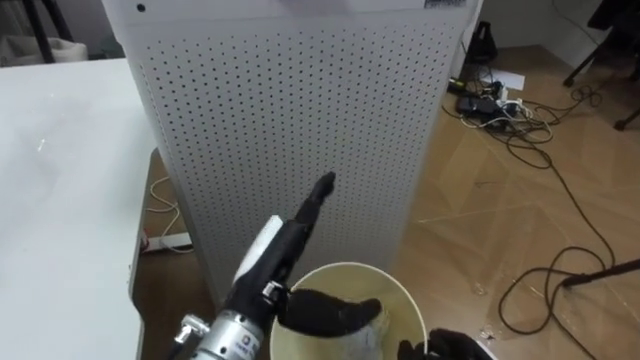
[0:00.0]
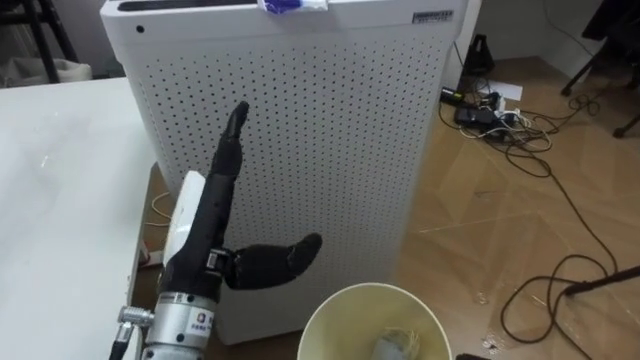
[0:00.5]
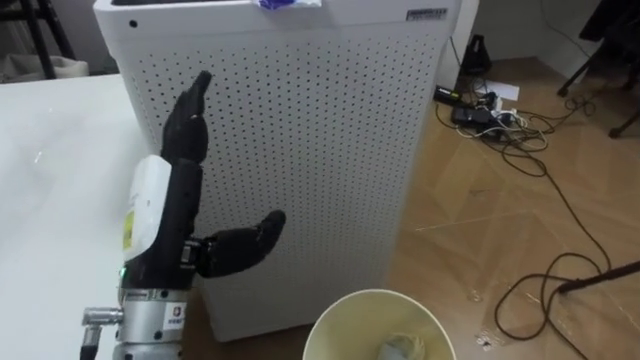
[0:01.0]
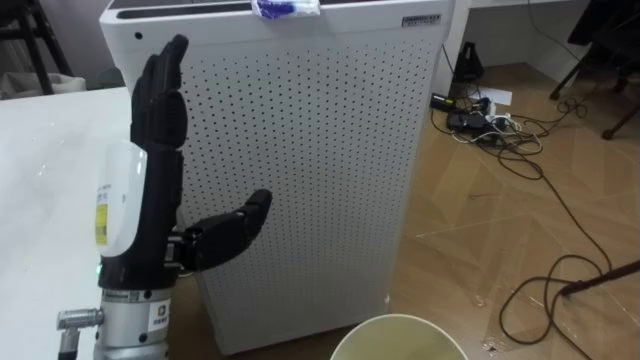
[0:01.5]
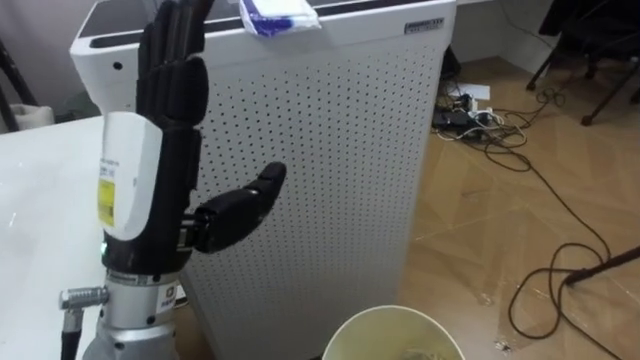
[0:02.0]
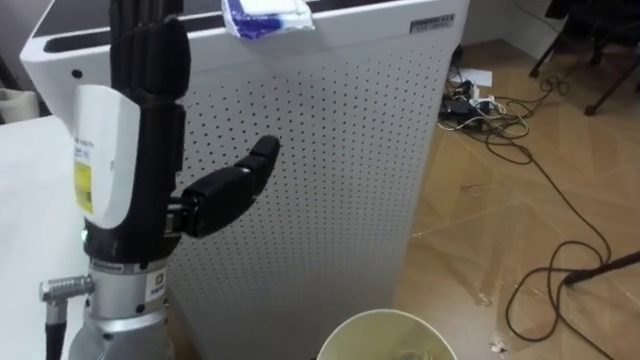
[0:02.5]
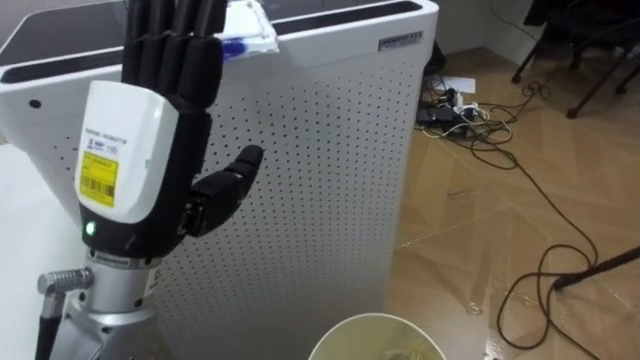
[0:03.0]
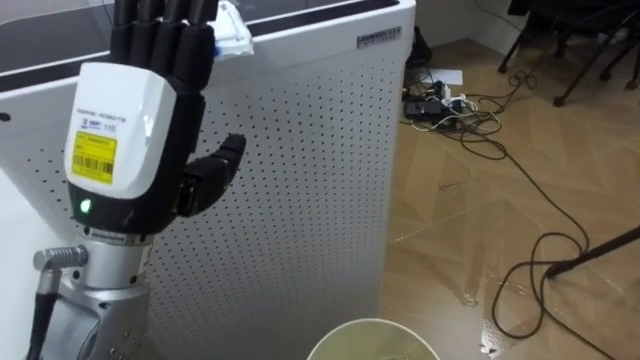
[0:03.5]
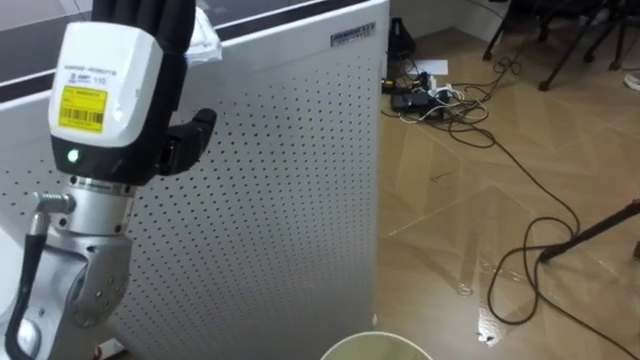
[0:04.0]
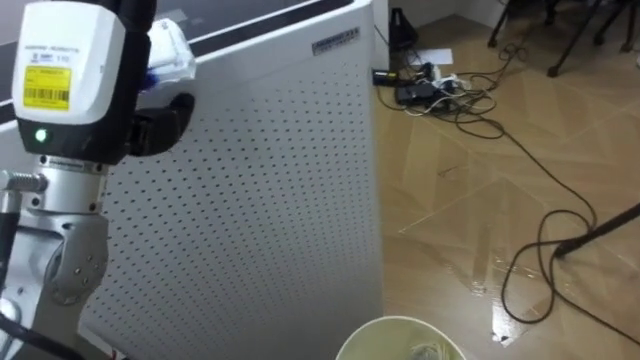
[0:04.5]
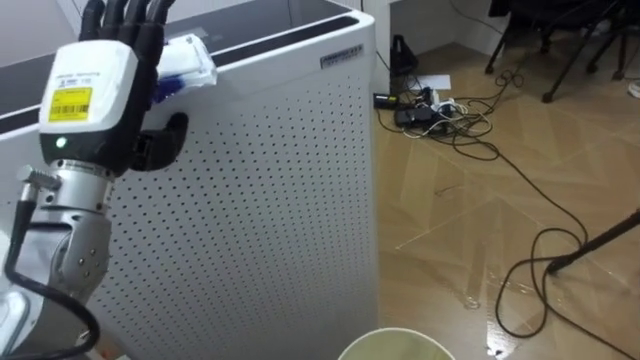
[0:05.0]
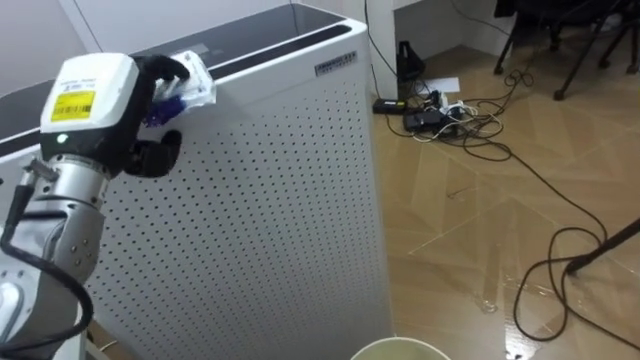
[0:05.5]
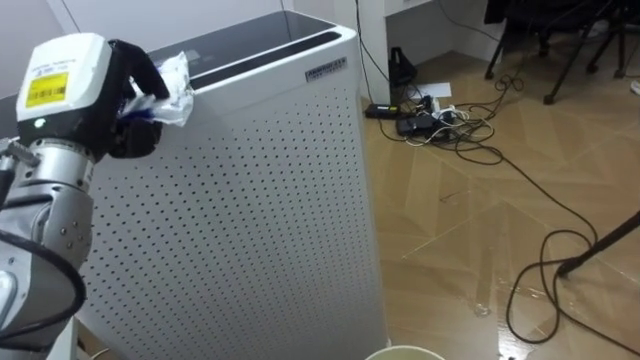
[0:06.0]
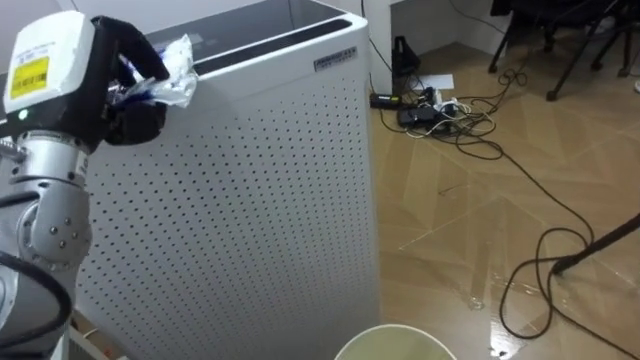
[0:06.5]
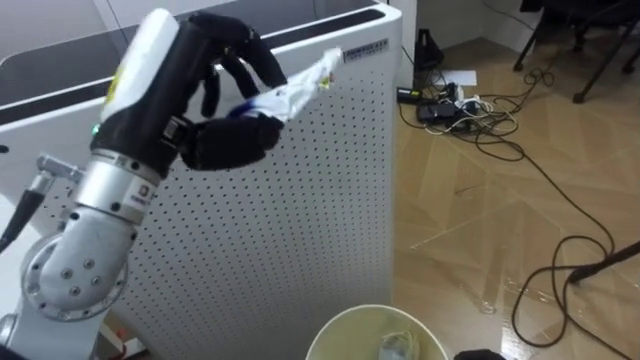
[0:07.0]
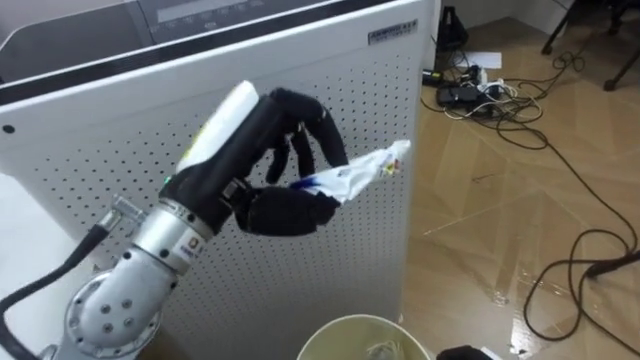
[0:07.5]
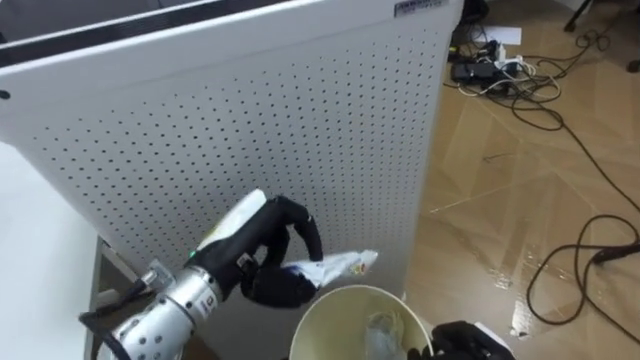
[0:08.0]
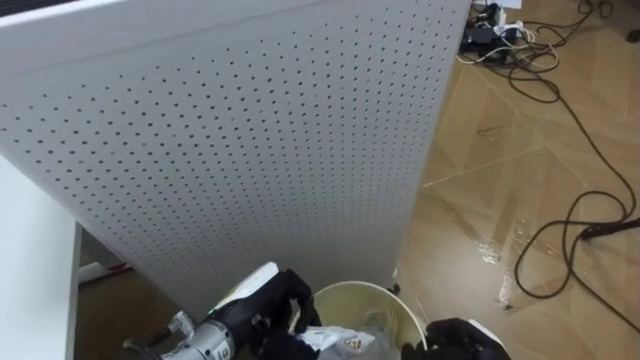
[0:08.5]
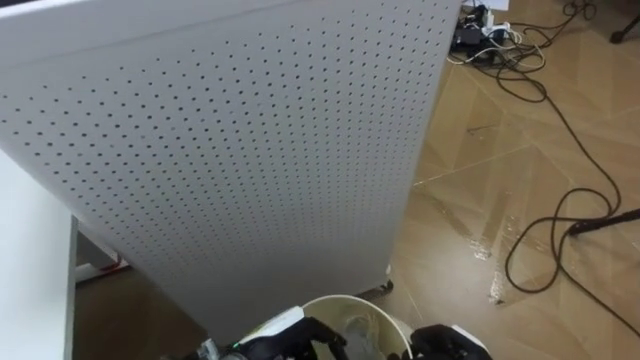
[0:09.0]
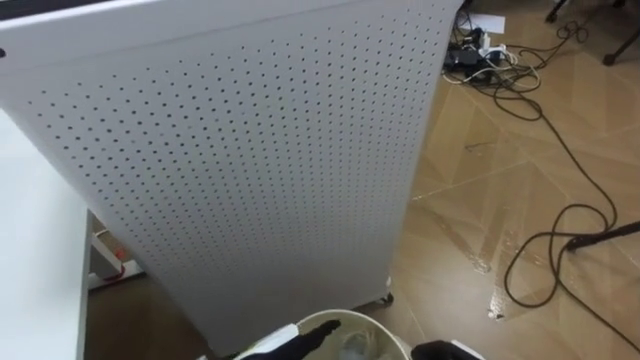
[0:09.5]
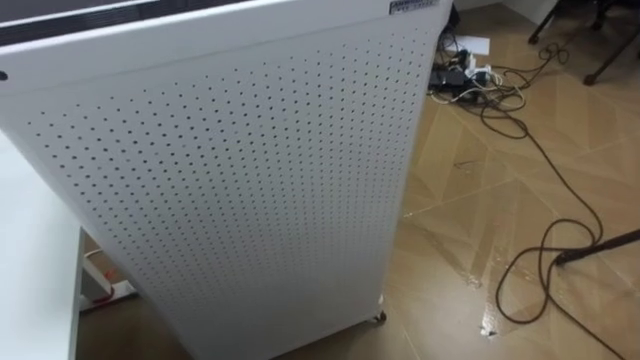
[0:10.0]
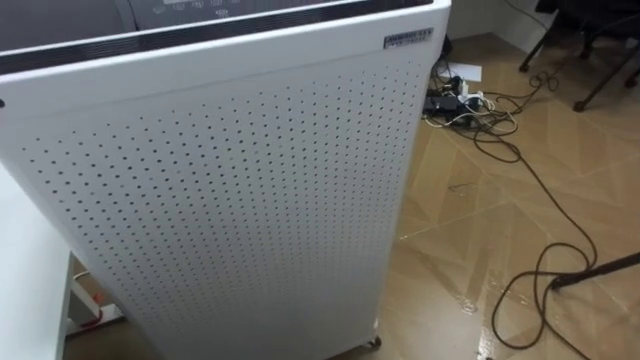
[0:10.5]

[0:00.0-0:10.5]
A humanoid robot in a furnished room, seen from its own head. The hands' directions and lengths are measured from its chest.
Task of the whole recording: Pick up the light blue package, the candy box, and the dark blue package separately, and put them into the trash can held in your right hand.
0:00.0 to 0:02.0: The left hand shifts about 15 cm upward and to the left.
0:02.0 to 0:04.0: The left hand ends up roughly 5 cm from where it was.
0:04.0 to 0:06.5: The left hand goes roughly 10 cm to the left and forward, and closes its fingers.
0:06.5 to 0:08.5: The left hand moves downward and to the right, approximately 30 cm.

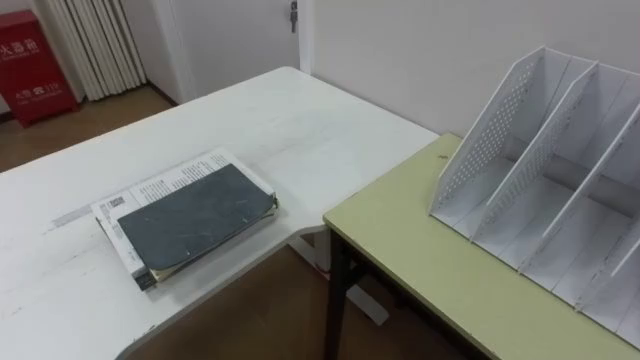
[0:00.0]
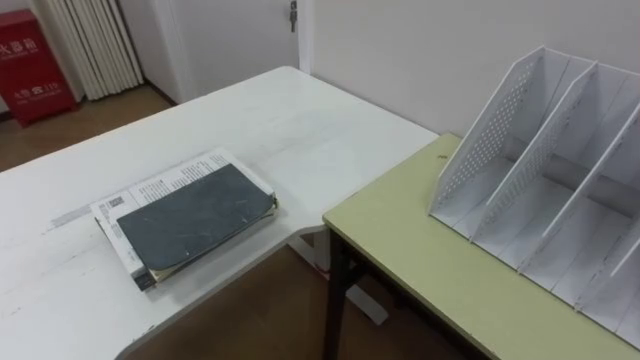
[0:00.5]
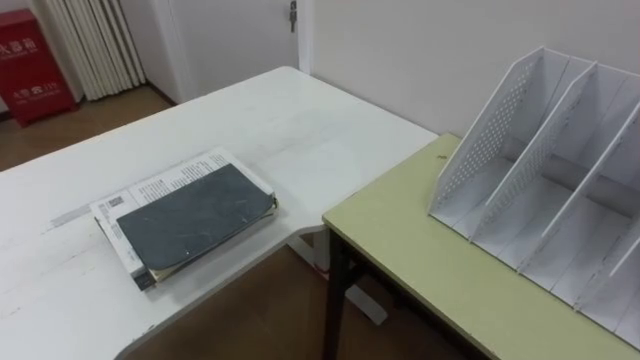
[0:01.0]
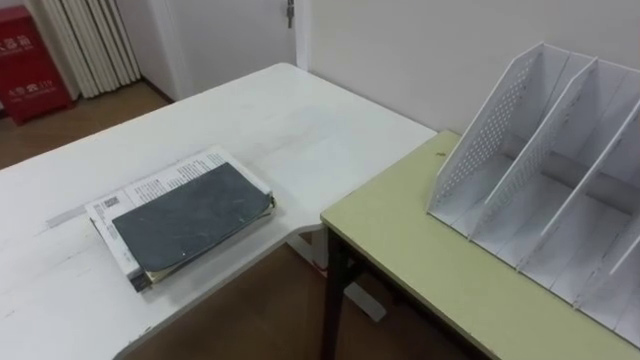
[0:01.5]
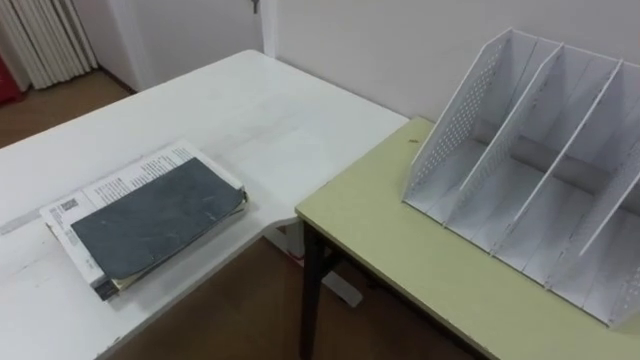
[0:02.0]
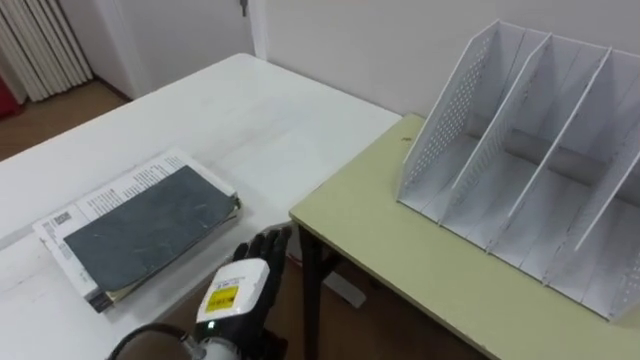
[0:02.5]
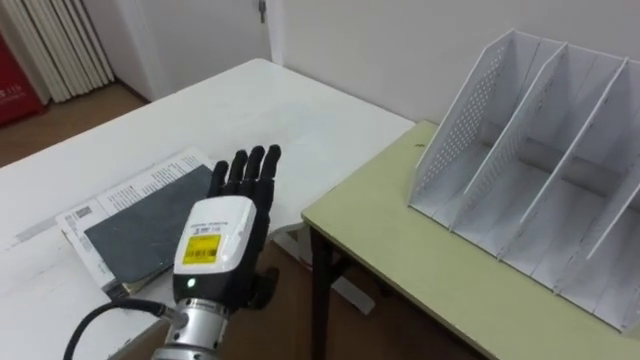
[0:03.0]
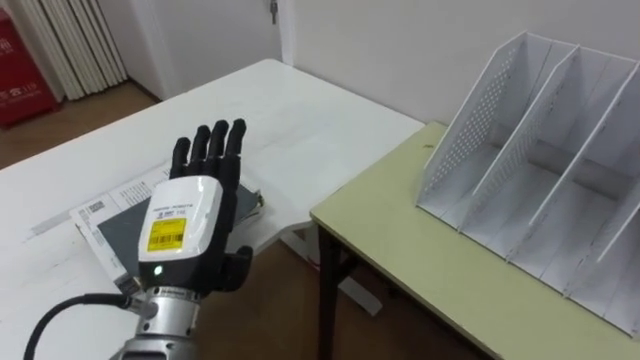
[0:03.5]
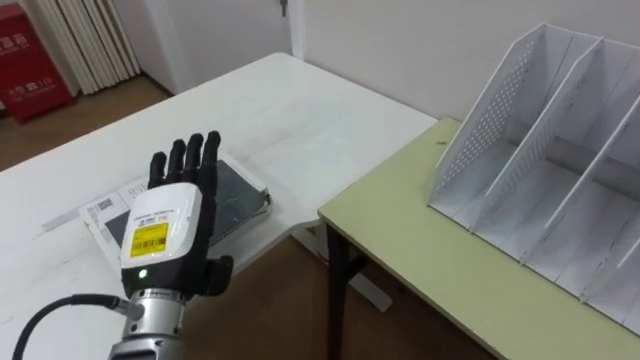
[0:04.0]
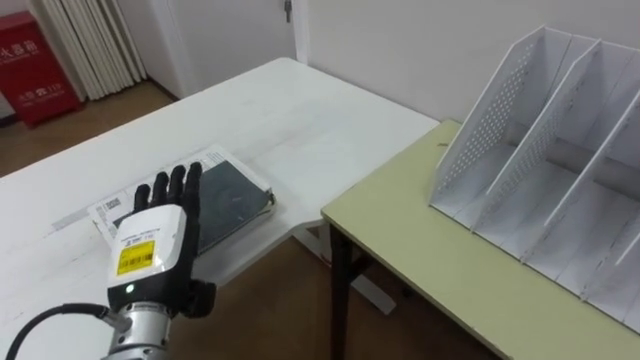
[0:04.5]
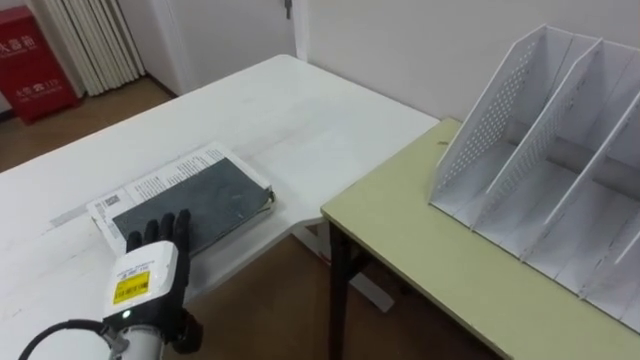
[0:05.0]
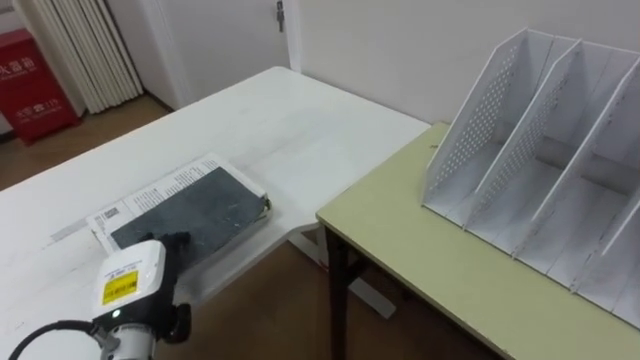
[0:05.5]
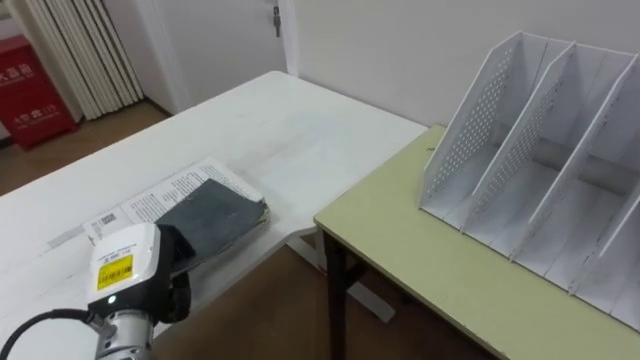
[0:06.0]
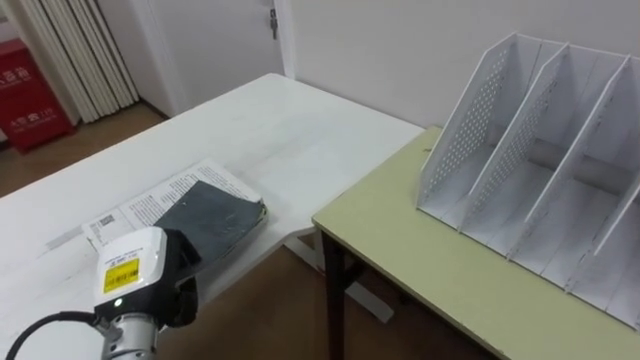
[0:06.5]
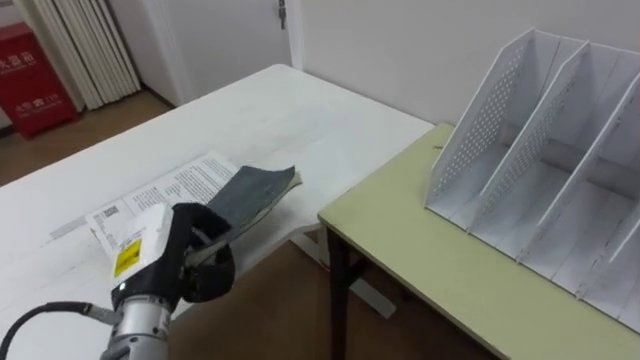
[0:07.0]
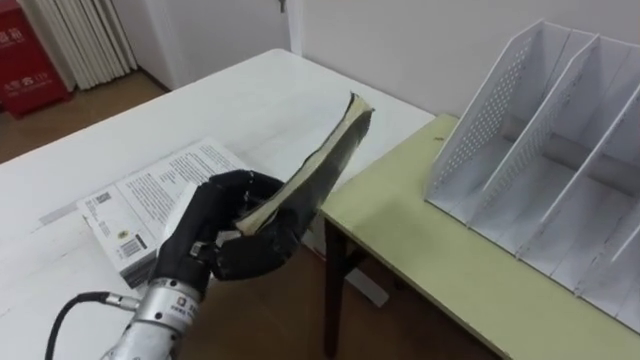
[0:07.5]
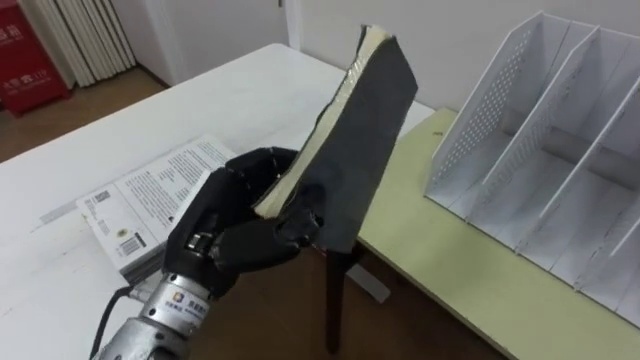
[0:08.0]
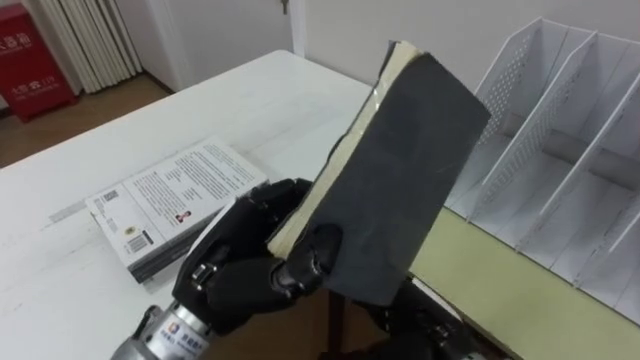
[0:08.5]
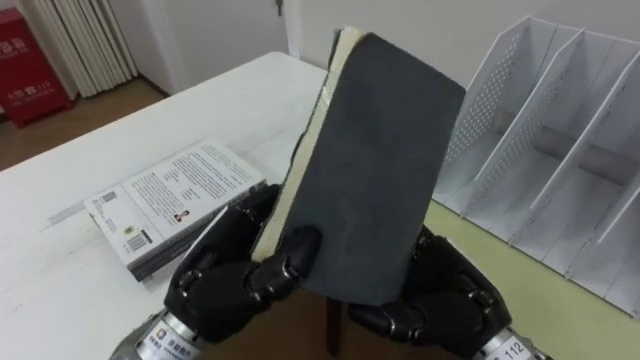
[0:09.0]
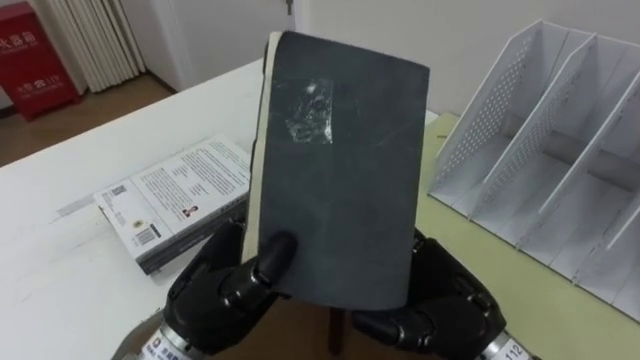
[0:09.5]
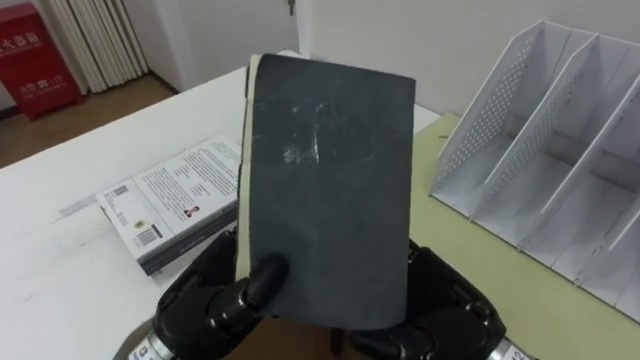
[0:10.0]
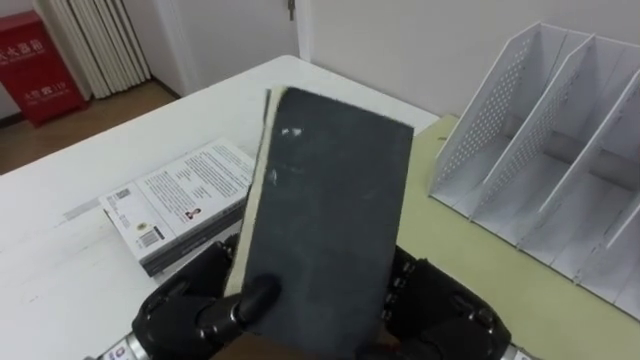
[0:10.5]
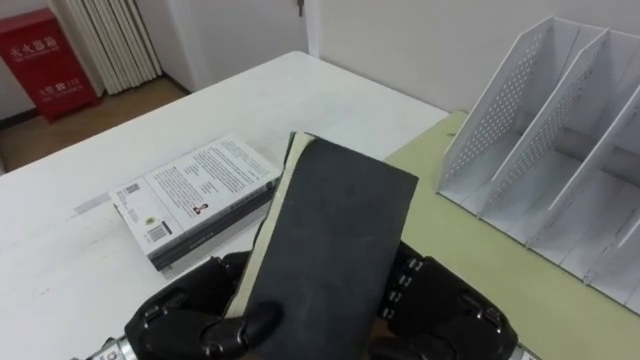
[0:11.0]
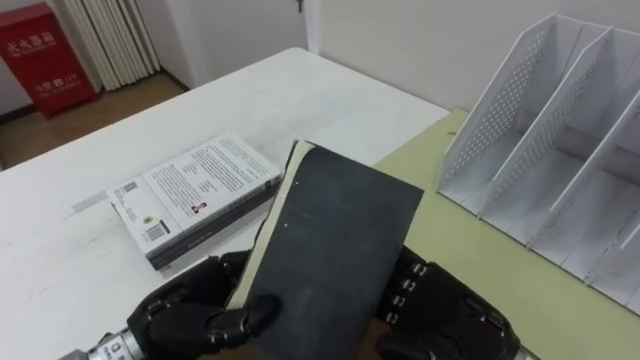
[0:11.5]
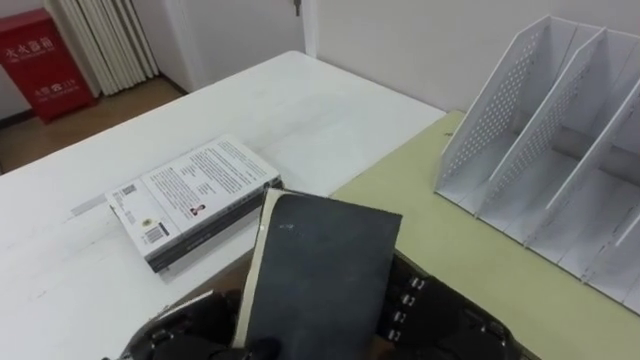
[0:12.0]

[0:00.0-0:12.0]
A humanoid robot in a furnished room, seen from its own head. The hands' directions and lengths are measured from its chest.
Task of the whole recording: Put the books on the table onto the bookshelf.
0:04.0 to 0:06.0: The left hand goes about 10 cm downward and to the left, and closes up.
0:06.0 to 0:08.0: The left hand moves to the right and upward, about 15 cm.
0:08.0 to 0:10.0: The left hand changes place by approximately 5 cm.
0:10.0 to 0:12.0: The left hand moves downward, some 10 cm.
